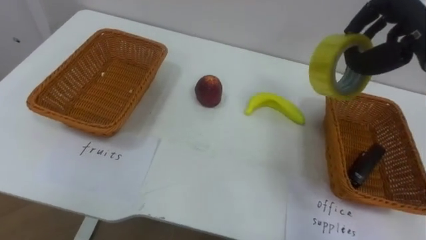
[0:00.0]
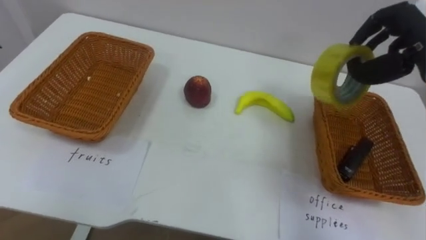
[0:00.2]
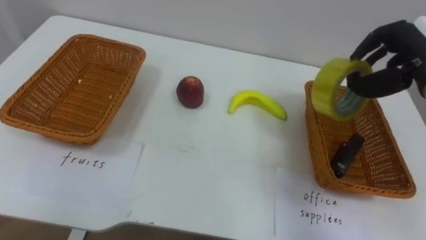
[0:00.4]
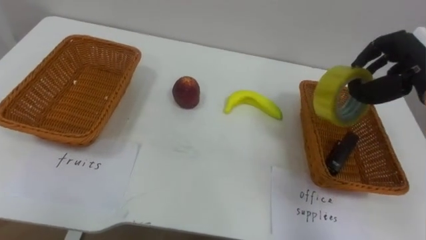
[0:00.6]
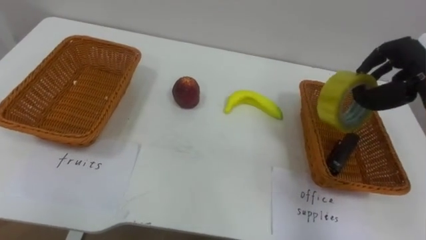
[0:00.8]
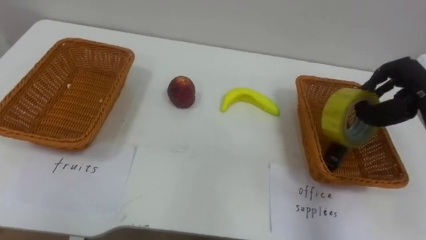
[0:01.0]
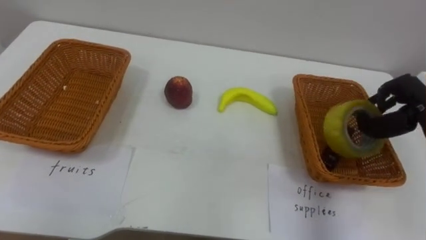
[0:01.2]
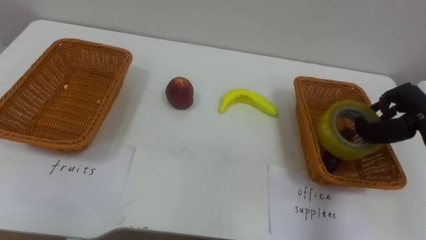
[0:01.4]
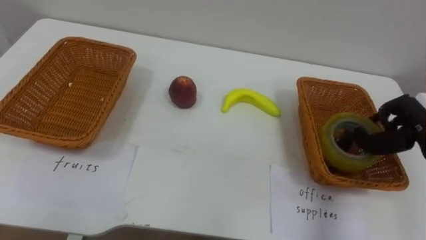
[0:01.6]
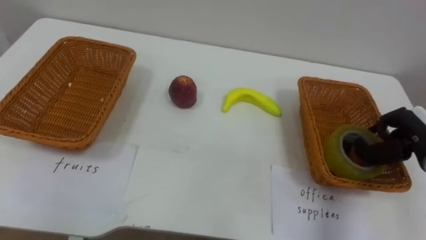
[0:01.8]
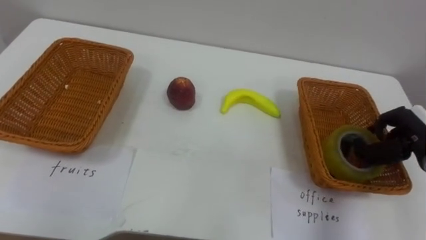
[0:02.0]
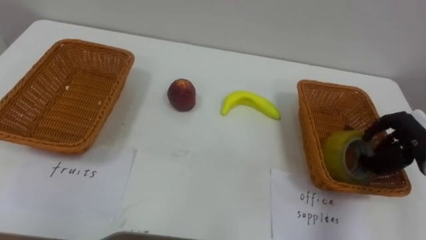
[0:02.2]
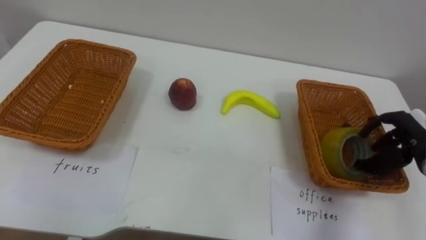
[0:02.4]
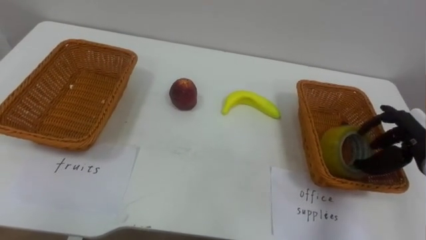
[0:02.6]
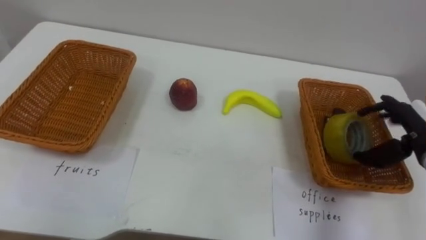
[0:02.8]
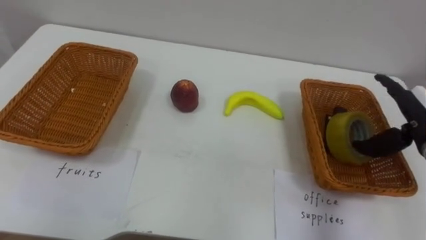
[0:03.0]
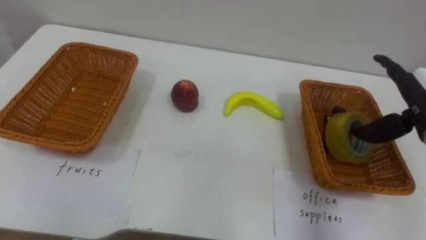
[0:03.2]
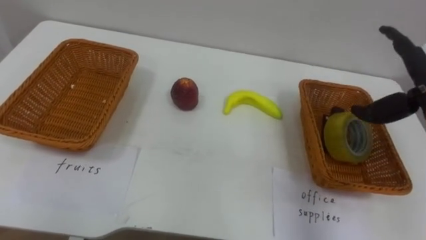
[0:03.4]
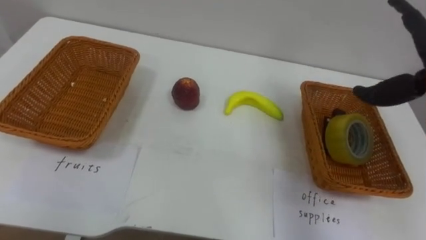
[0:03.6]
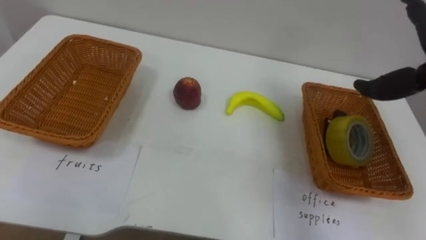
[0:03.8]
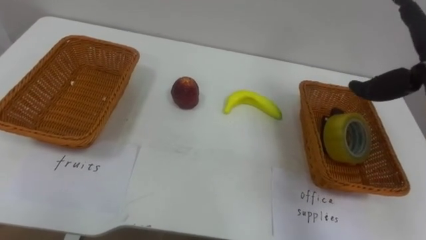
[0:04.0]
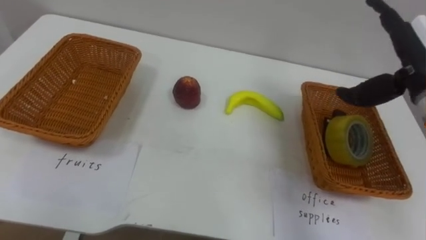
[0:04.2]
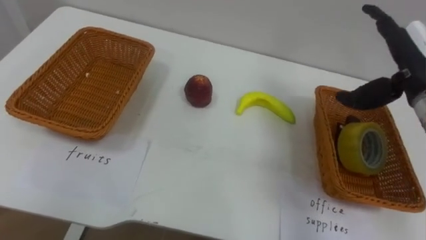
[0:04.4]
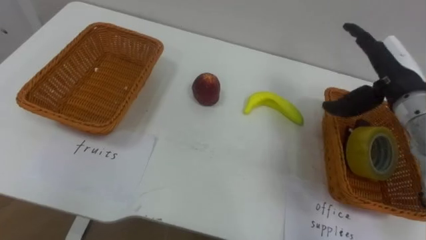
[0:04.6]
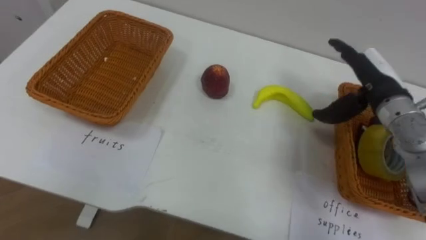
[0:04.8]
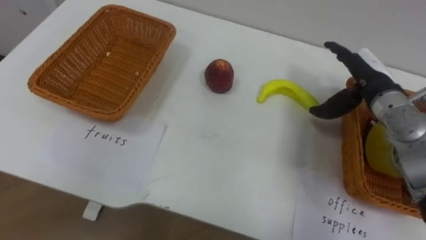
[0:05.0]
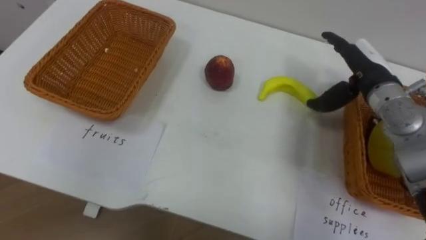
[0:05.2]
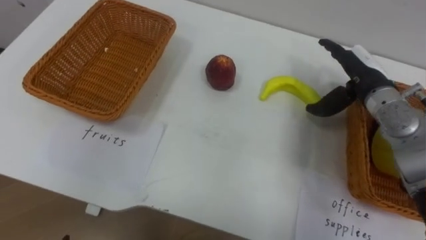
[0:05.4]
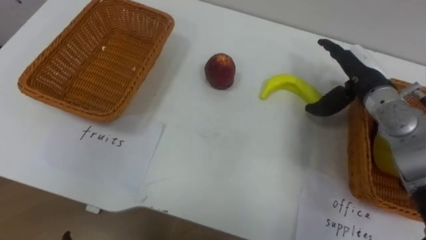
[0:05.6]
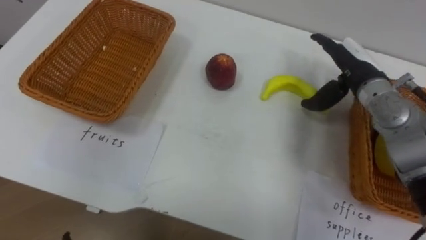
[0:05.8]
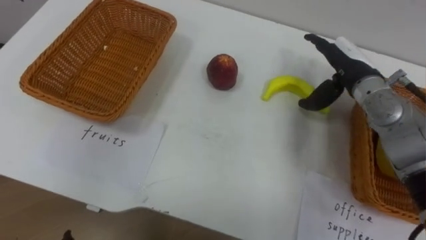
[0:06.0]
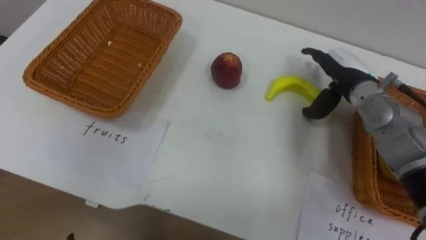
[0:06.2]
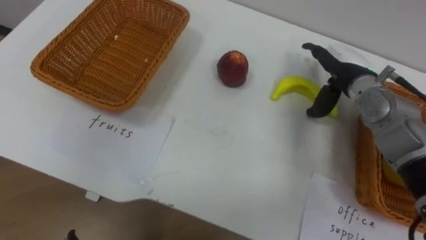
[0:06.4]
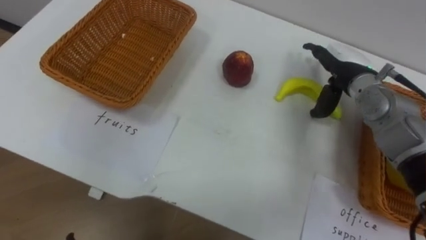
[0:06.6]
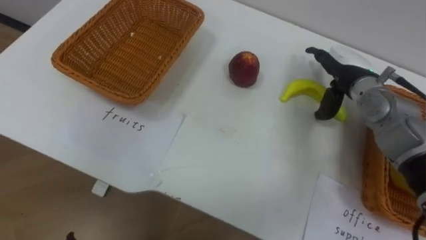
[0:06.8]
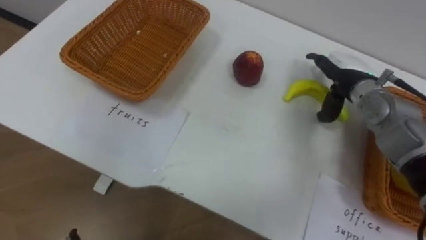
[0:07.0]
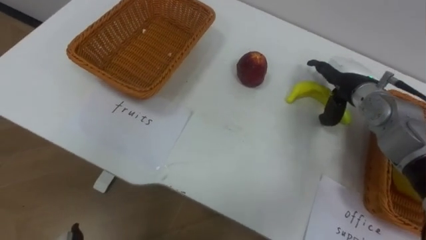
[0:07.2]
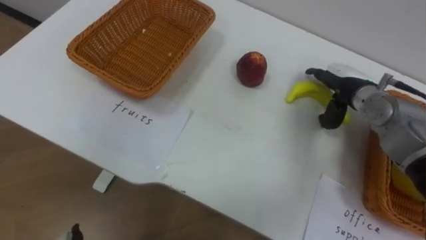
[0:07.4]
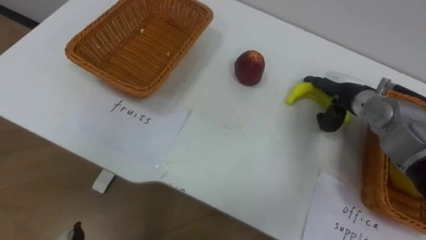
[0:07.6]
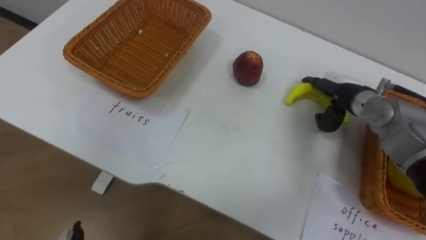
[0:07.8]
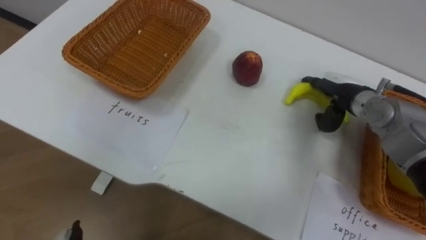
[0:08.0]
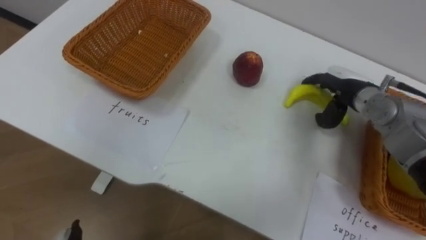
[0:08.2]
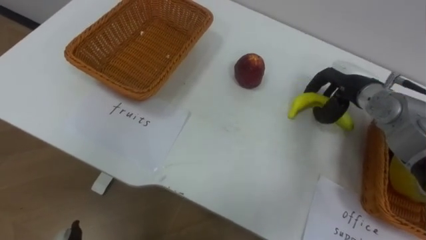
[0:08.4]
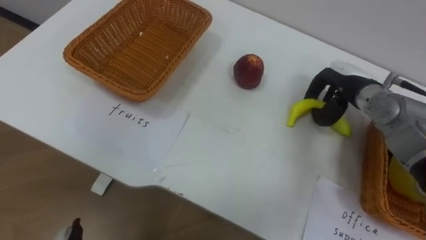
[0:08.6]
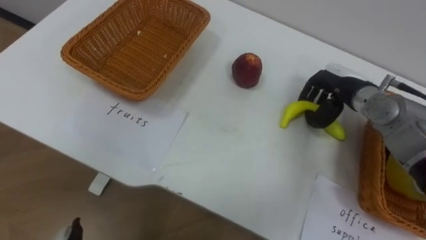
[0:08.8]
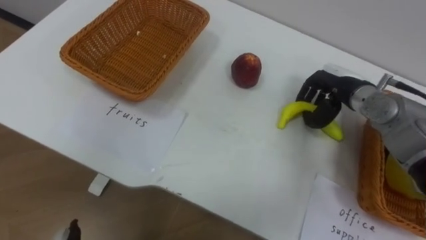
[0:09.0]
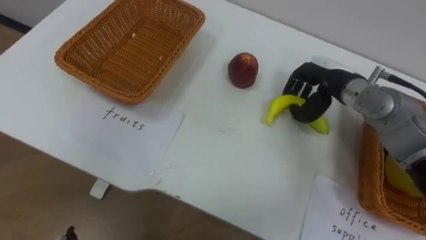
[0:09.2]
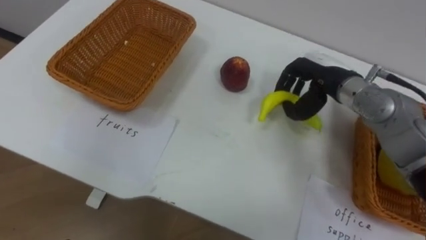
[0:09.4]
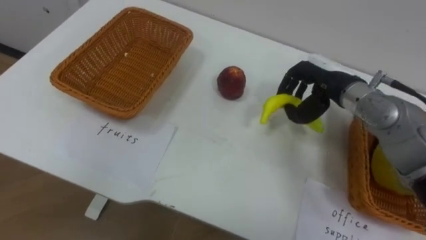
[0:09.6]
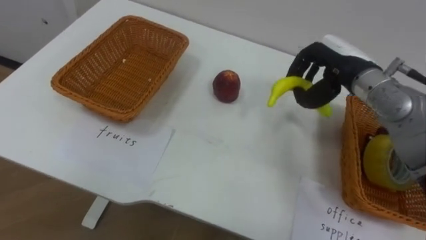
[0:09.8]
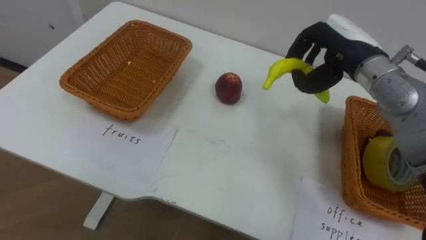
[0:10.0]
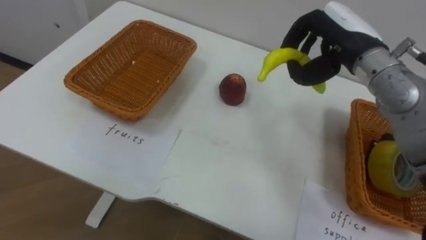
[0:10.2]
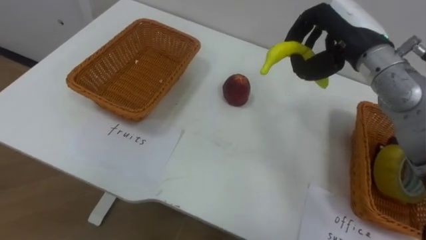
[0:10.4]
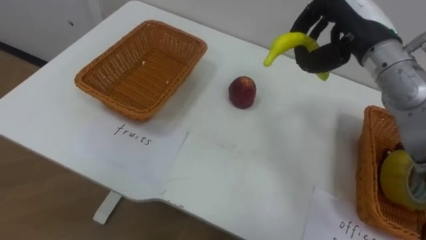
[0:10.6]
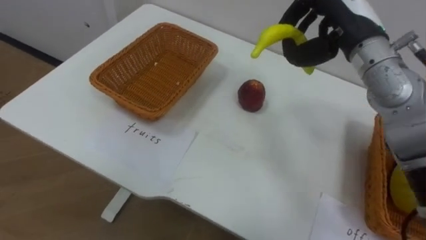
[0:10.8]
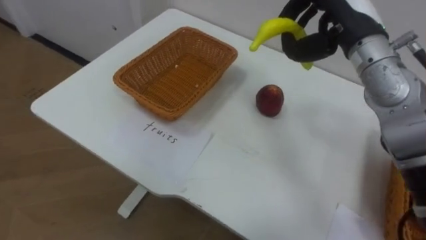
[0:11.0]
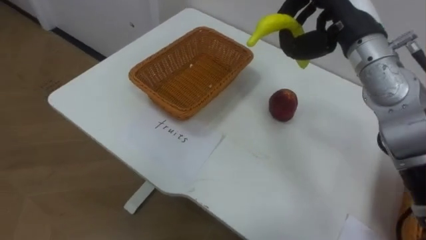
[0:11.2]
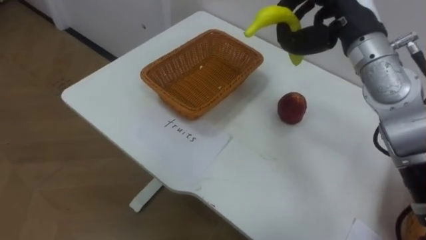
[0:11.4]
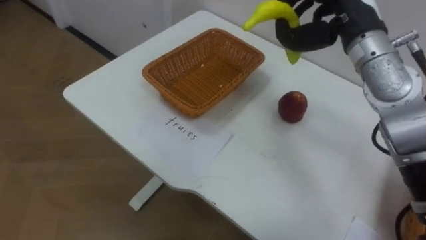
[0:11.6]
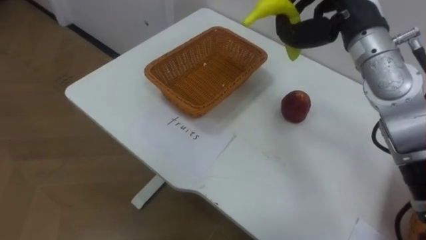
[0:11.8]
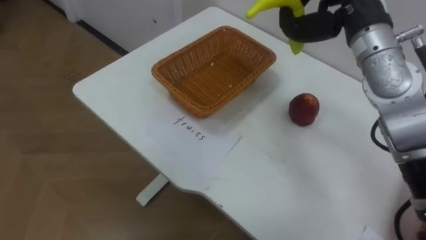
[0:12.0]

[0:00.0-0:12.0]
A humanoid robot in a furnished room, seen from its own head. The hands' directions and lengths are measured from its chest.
Task of the whole recording: Separate the items on the table and place them into the two baskets.
0.0 to 1.6 s: The right hand travels downward, to the right and backward by approximately 15 cm.
1.6 to 3.0 s: The right hand opens its fingers.
4.4 to 6.0 s: The right hand heads forward, downward and to the left, covering some 10 cm.
6.0 to 7.6 s: The right hand is displaced downward by approximately 5 cm.
7.6 to 9.0 s: The right hand closes up.
9.0 to 10.4 s: The right hand goes about 10 cm upward.

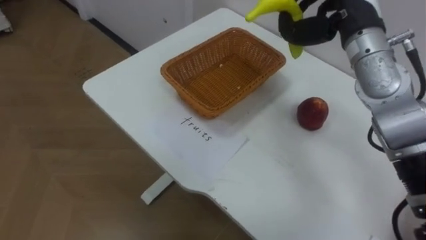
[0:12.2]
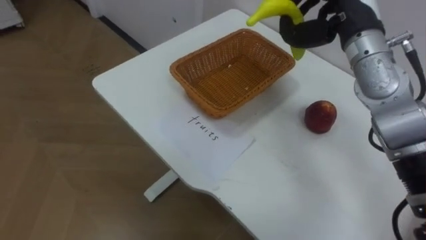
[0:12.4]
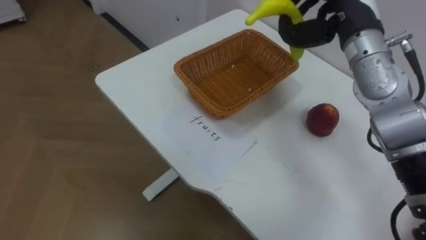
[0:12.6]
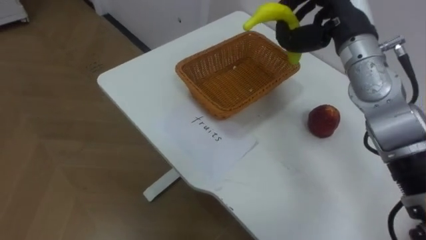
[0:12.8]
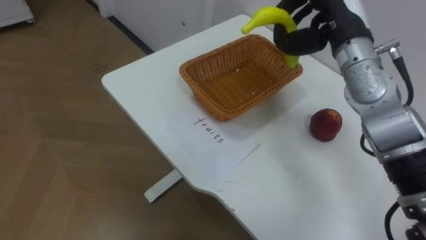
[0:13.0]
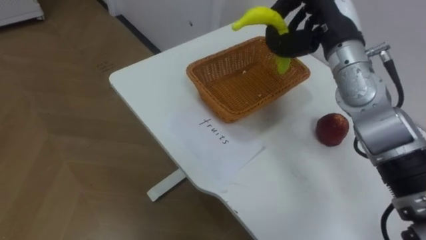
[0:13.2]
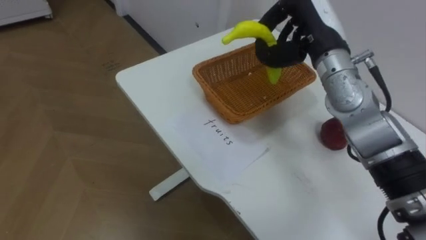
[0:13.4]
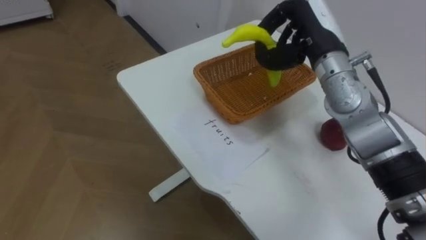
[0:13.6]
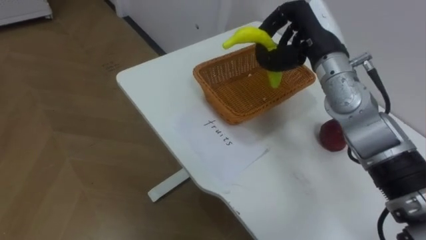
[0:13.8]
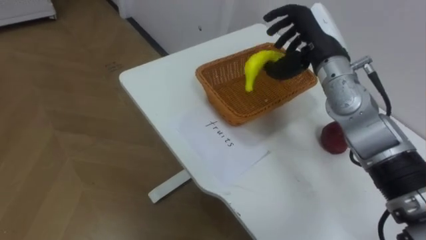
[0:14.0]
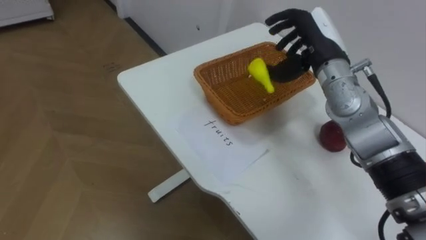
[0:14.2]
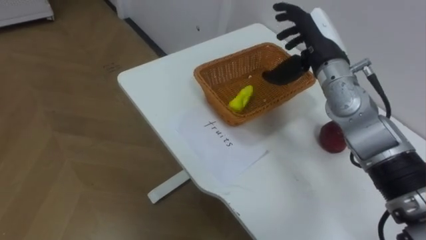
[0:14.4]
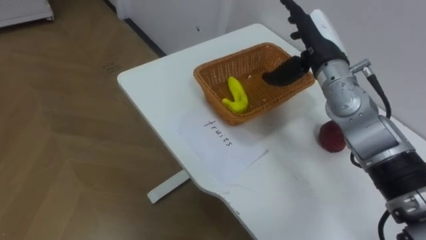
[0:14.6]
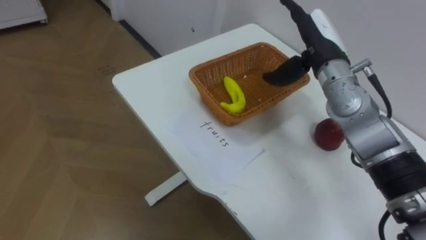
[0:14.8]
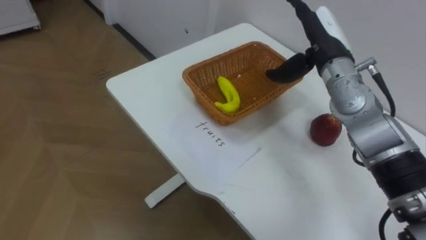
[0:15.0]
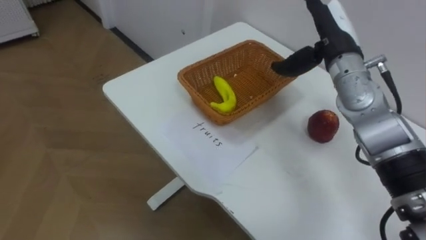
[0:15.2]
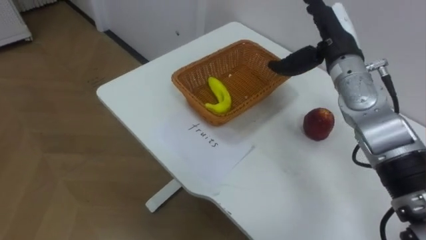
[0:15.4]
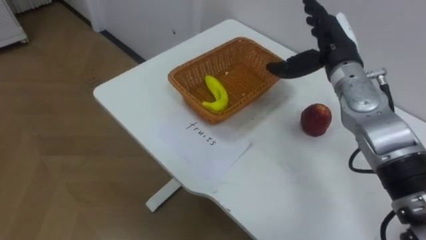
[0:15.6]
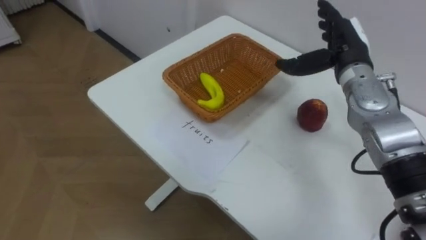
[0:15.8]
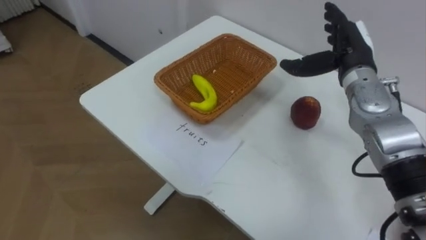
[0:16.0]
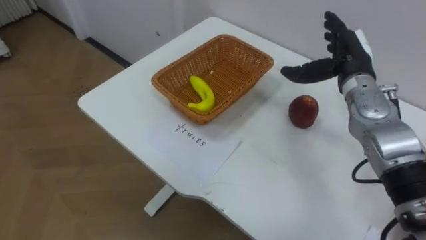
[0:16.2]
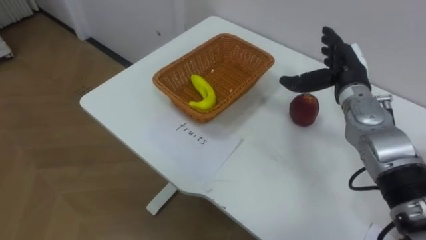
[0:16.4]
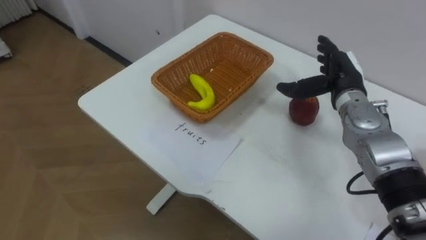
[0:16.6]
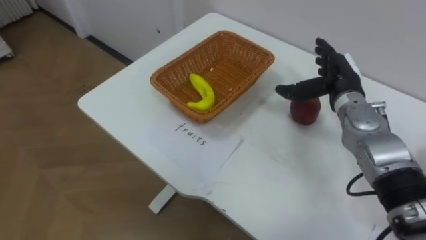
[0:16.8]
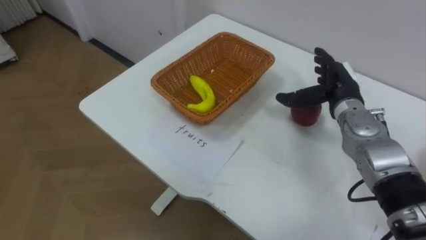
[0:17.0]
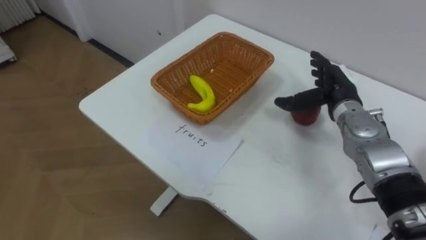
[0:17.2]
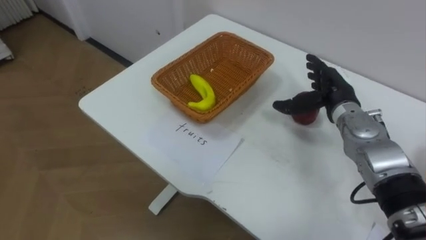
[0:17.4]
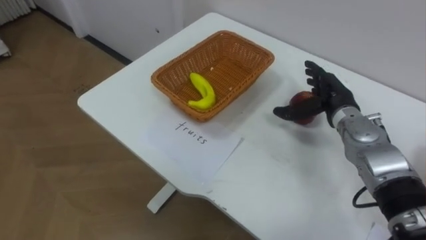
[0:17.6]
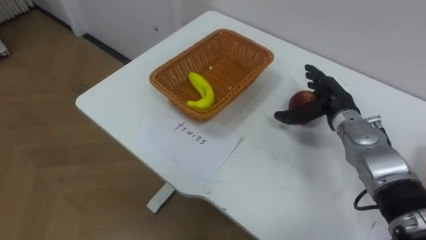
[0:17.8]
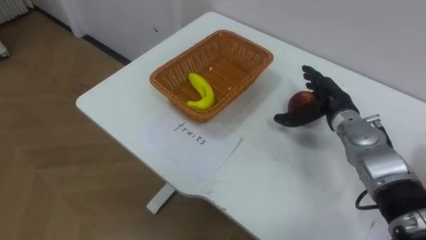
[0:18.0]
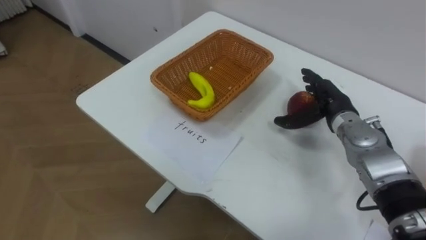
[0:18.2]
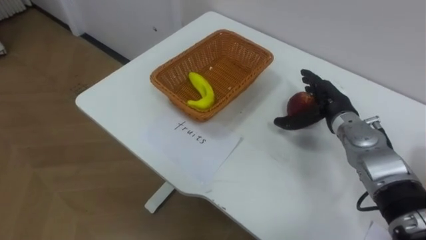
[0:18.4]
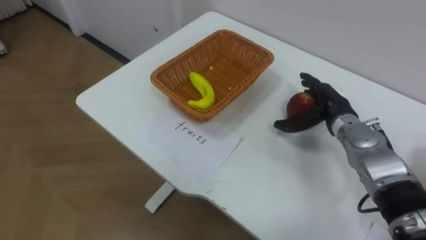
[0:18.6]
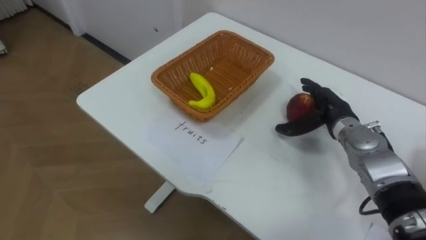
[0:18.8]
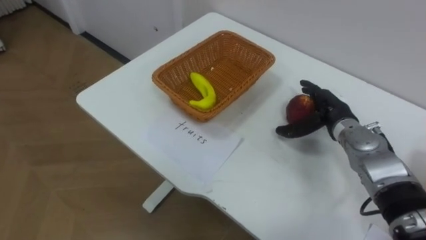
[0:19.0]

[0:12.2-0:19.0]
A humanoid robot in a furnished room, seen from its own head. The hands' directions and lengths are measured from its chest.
Task of the whole recording: Separate the items on the table and place them into the two baskets.
12.2 to 13.6 s: The right hand ends up about 5 cm from where it was.
13.6 to 15.0 s: The right hand opens its fingers.
15.0 to 16.2 s: The right hand shifts some 5 cm to the right.
16.2 to 17.6 s: The right hand goes approximately 10 cm downward.
